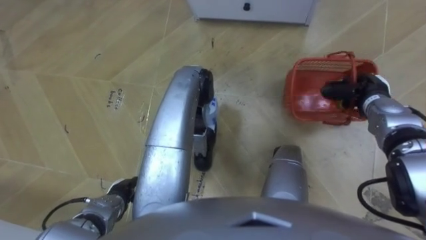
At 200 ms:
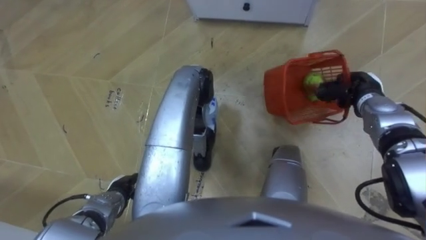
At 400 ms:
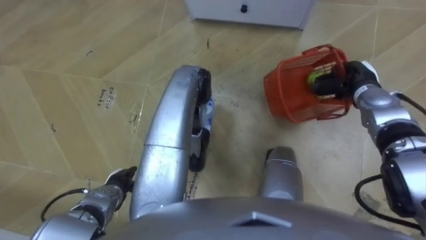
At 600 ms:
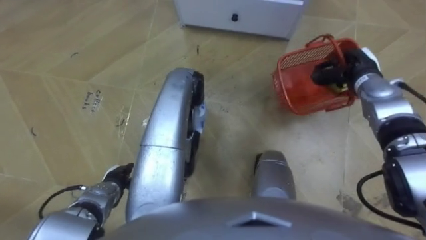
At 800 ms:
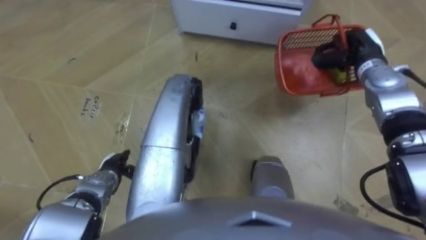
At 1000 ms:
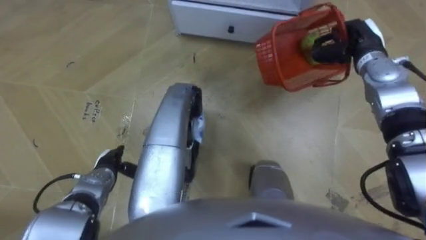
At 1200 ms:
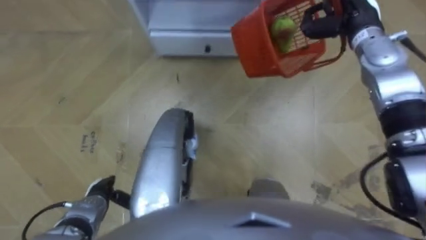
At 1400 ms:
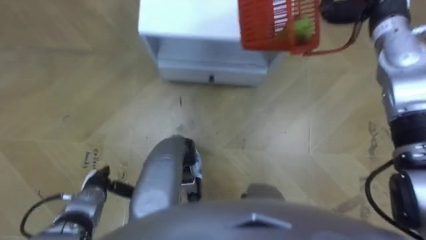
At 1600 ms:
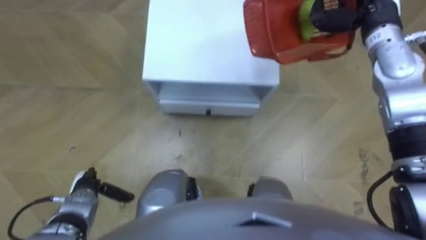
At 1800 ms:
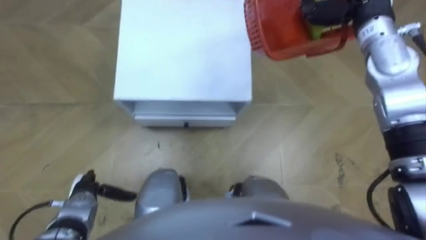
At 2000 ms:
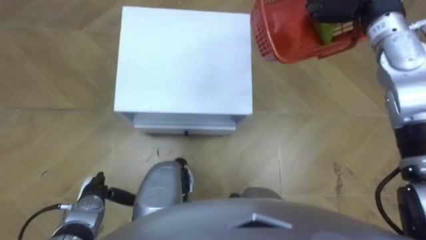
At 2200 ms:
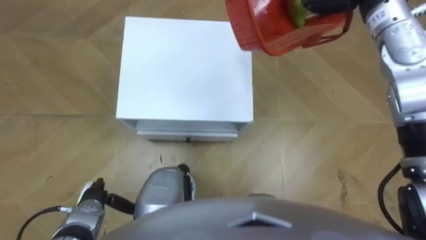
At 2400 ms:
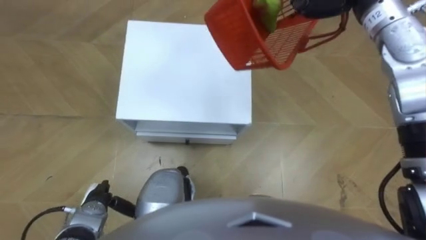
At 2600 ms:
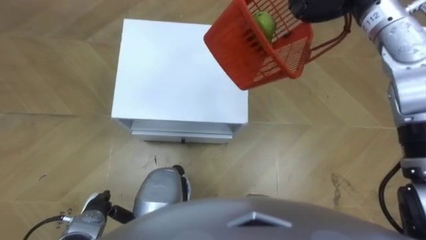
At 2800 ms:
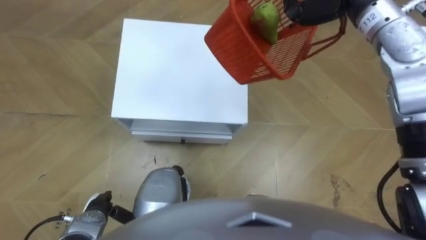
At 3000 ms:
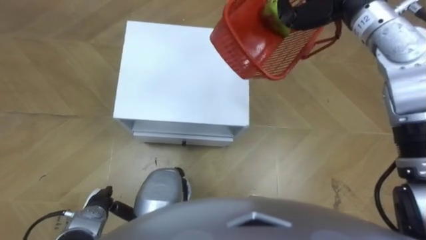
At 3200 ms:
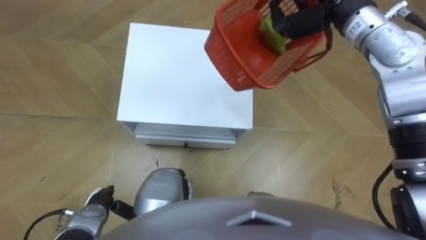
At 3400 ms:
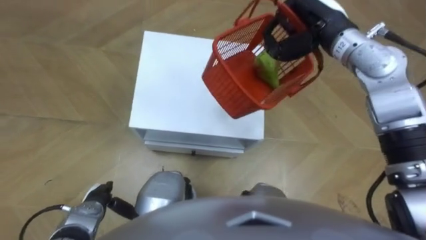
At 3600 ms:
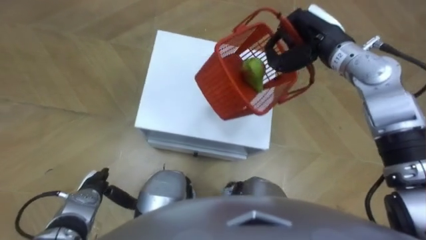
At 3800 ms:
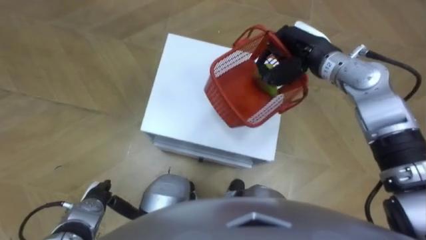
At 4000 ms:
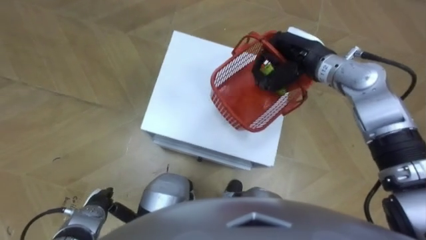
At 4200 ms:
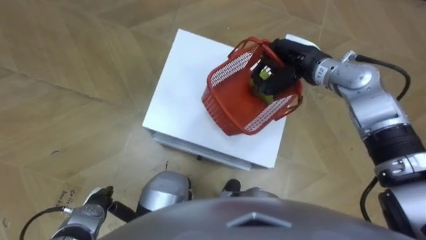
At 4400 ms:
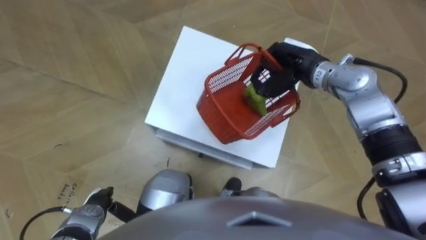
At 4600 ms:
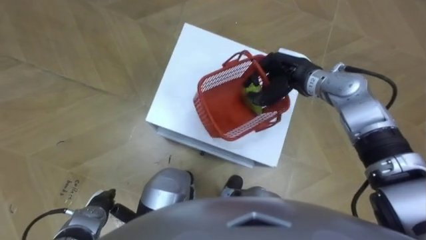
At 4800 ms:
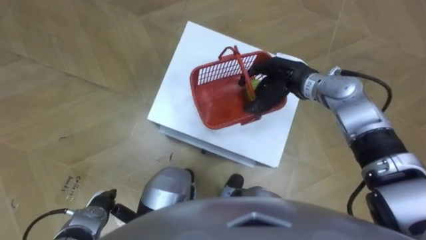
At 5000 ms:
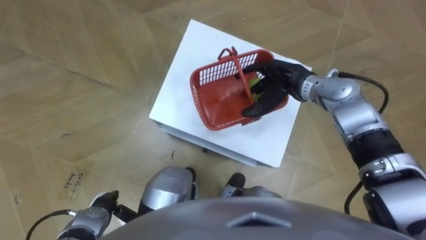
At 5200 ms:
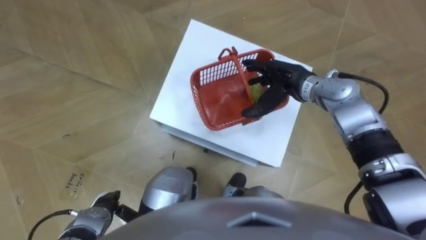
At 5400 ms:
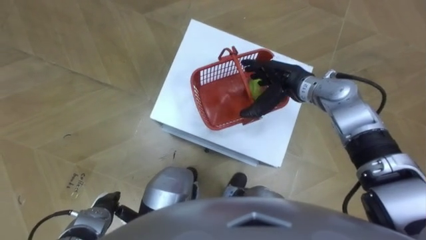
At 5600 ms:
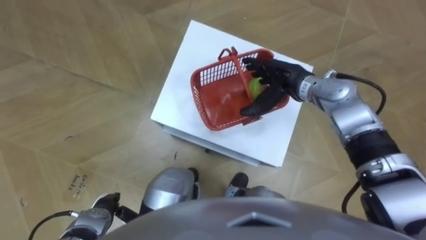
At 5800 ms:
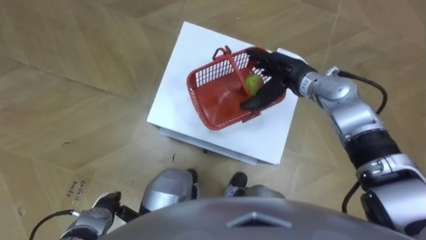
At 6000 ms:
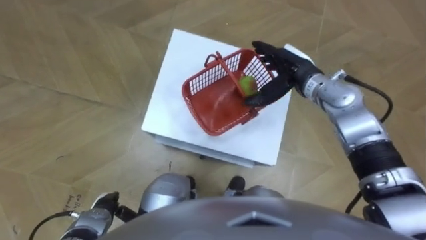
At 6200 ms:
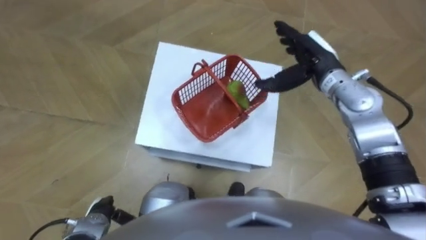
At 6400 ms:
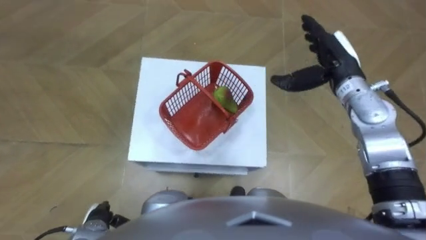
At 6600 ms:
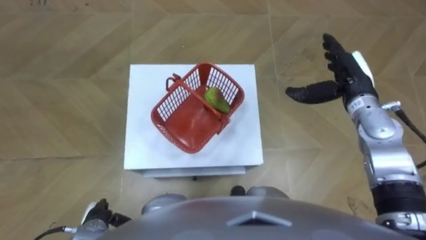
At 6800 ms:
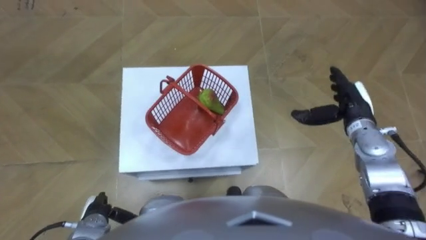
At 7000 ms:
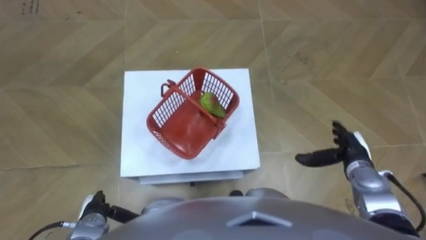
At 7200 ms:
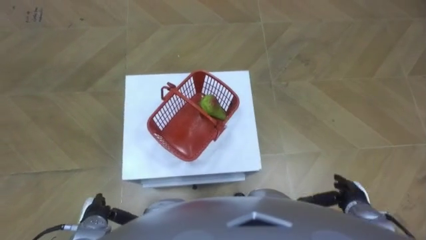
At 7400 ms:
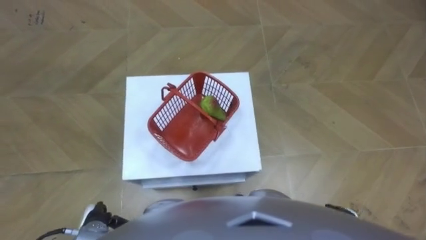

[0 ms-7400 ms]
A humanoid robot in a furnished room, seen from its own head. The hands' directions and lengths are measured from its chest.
Task of the whole recording: Pick up the fruit basket from the floor and place it on the cabinet.
0 ms to 1400 ms: The left hand shifts roughly 5 cm to the left, and moves approximately 10 cm forward and comes back.
4400 ms to 6000 ms: The right hand opens.
6000 ms to 7400 ms: The right hand goes approximately 35 cm backward, downward and to the right.

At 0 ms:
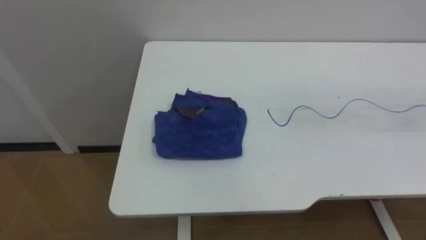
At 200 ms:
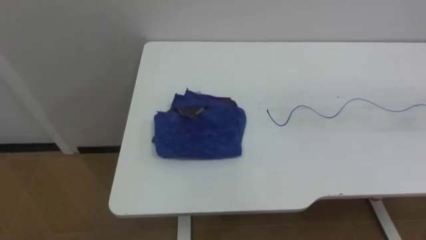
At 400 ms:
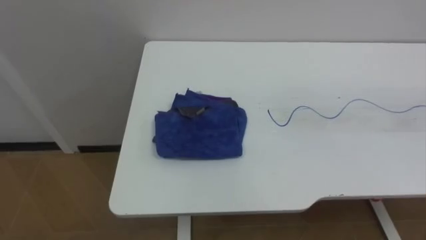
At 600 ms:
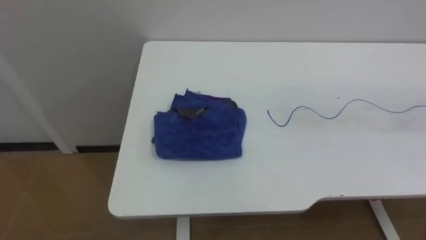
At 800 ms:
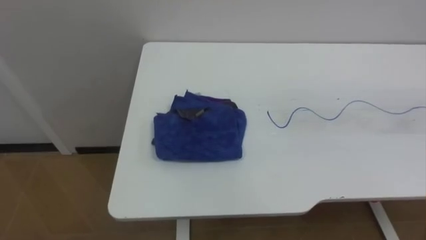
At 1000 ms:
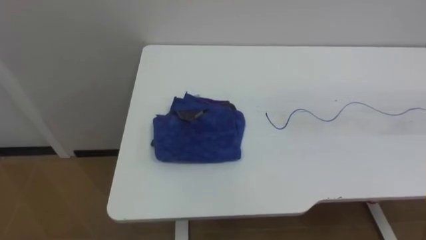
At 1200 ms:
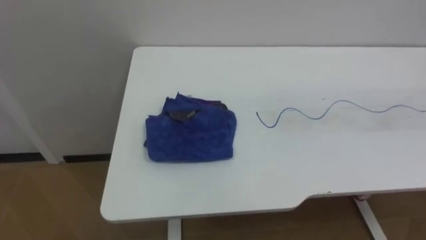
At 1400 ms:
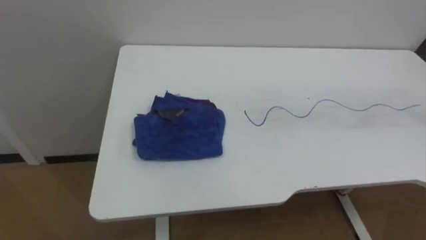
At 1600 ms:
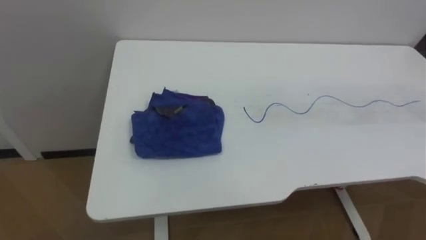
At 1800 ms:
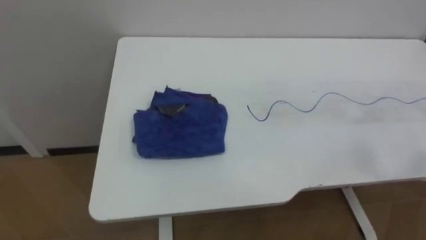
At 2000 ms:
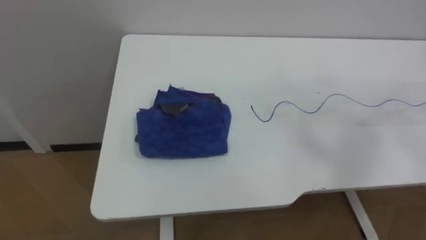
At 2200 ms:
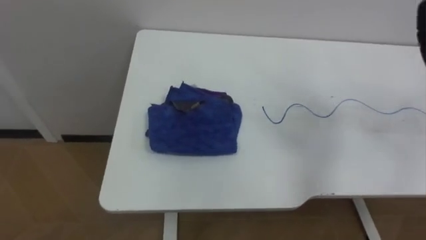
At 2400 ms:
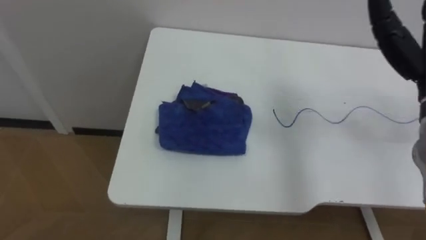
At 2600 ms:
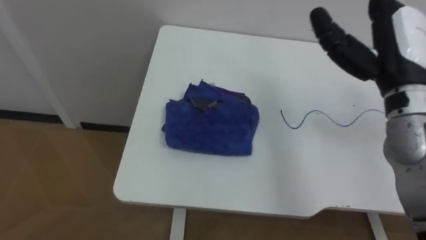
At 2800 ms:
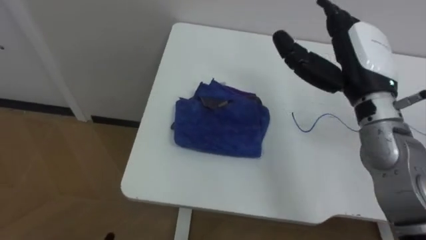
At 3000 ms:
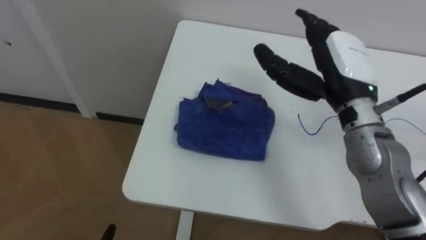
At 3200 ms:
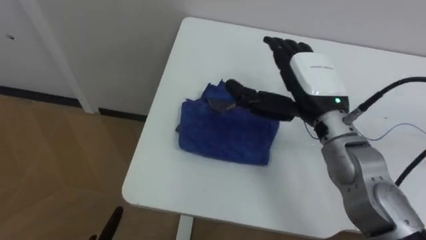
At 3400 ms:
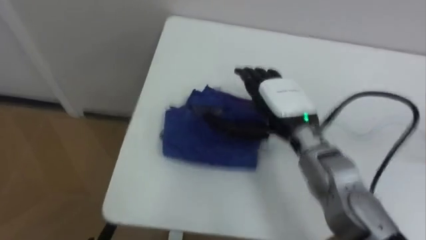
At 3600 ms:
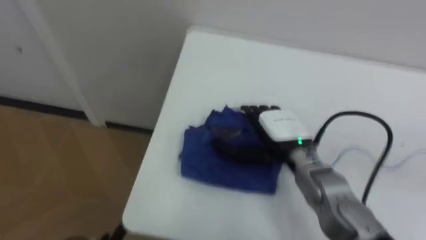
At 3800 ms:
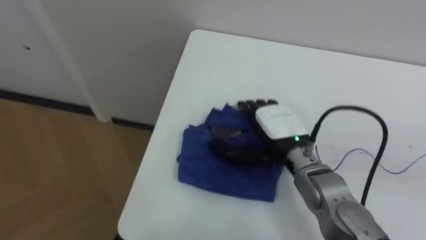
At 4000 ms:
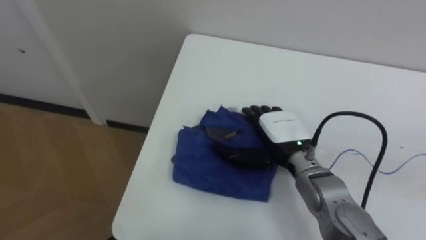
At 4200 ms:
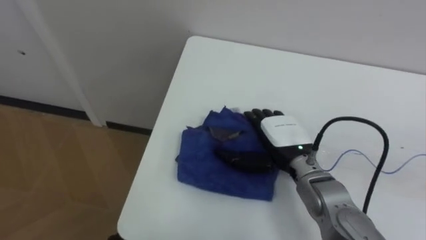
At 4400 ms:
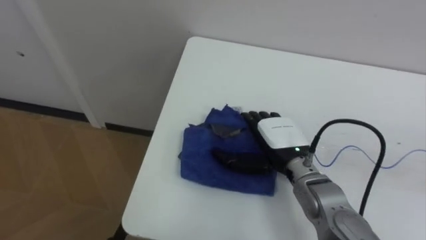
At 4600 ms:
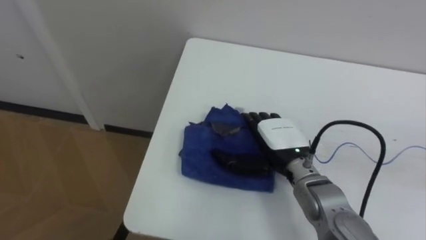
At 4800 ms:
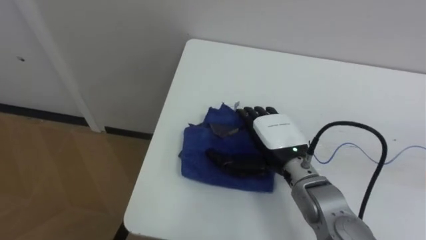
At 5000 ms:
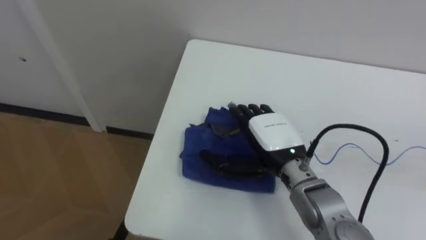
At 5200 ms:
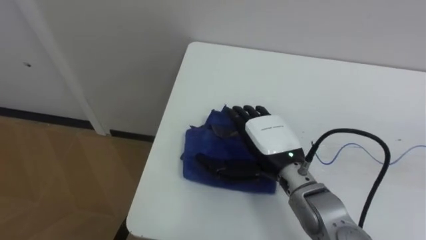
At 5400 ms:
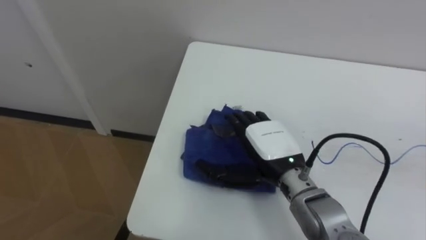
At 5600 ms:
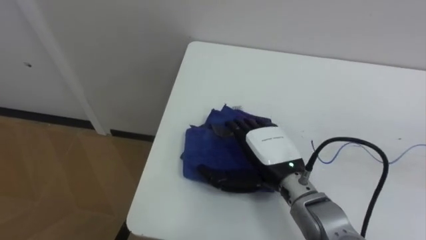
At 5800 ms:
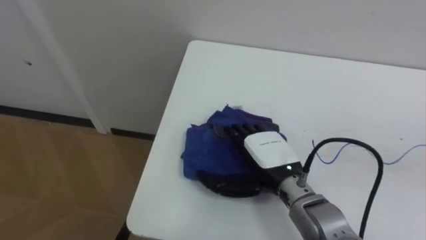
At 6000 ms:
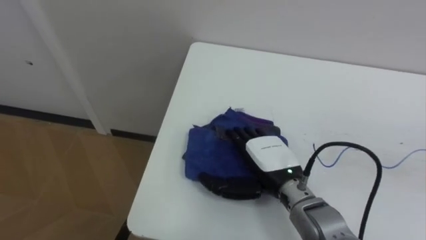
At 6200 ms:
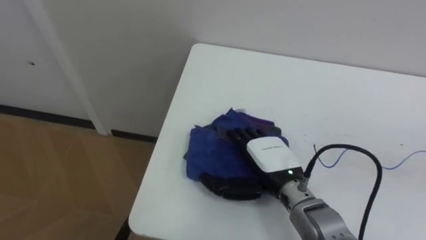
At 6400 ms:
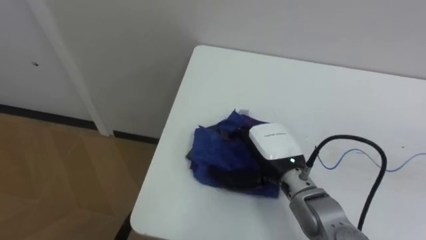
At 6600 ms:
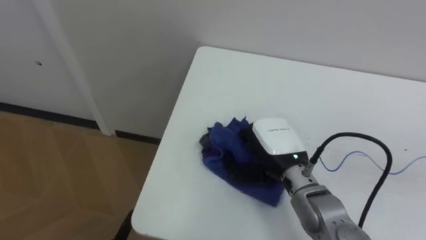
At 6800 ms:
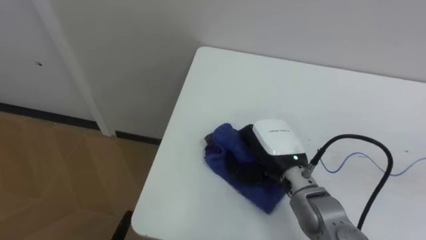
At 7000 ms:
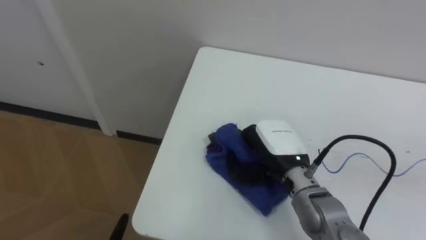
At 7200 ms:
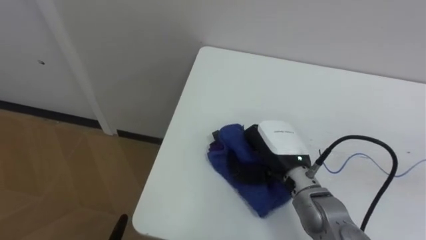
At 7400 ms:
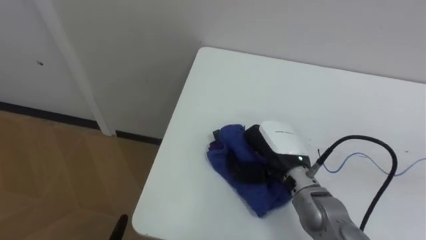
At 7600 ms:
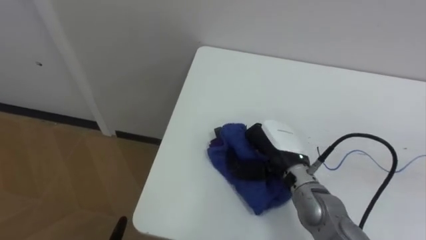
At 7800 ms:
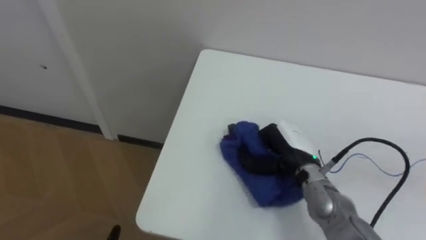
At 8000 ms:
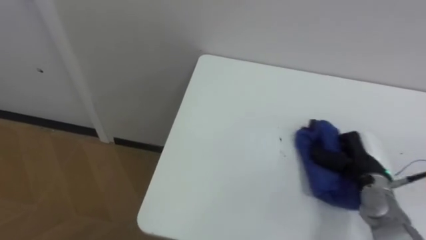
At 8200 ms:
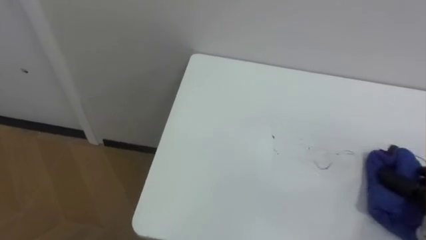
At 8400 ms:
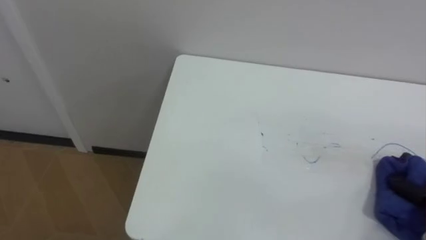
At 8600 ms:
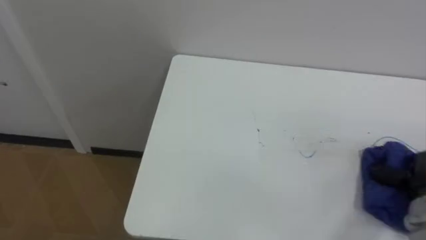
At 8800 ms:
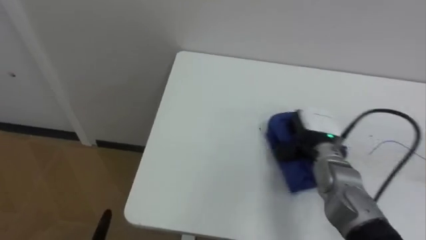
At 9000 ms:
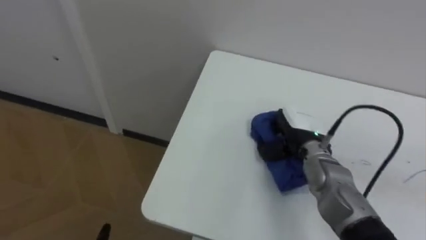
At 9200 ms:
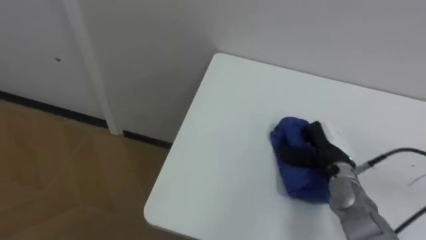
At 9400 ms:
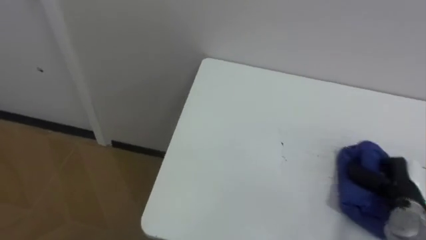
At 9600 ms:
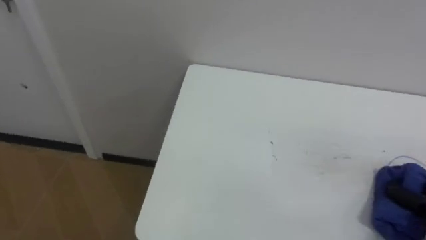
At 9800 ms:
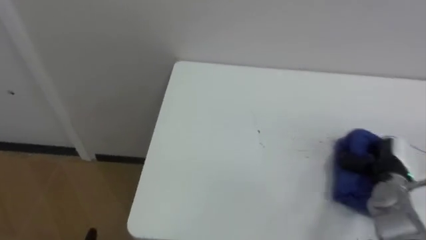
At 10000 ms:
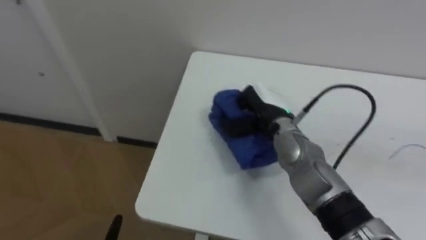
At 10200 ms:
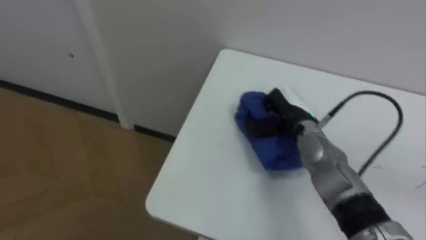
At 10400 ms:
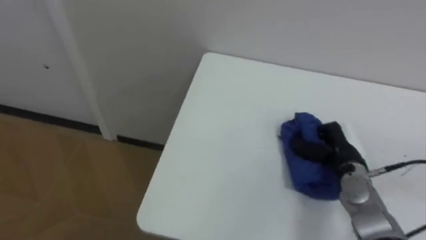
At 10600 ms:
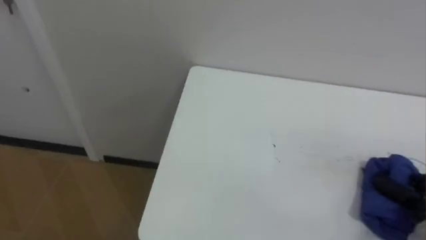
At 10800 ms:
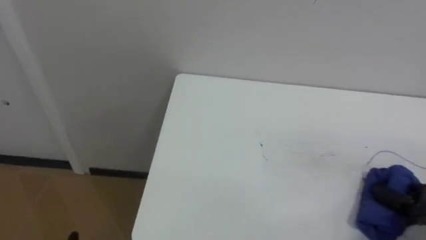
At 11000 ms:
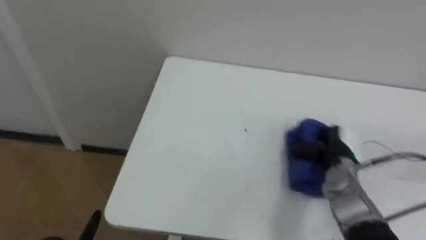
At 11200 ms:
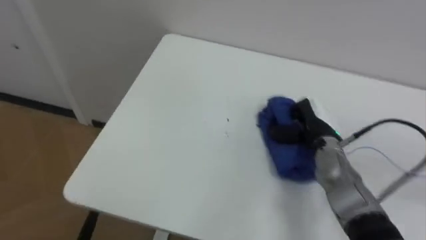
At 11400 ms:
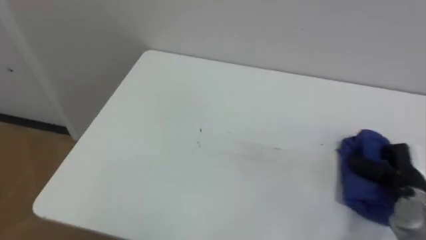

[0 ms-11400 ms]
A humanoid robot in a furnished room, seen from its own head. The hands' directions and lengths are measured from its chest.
Task of the whole recording: Wipe the blue pen marks off the table with the rag.
2800 ms to 4200 ms: The right hand goes roughly 20 cm downward and to the left.
5600 ms to 7200 ms: The right hand closes up.
